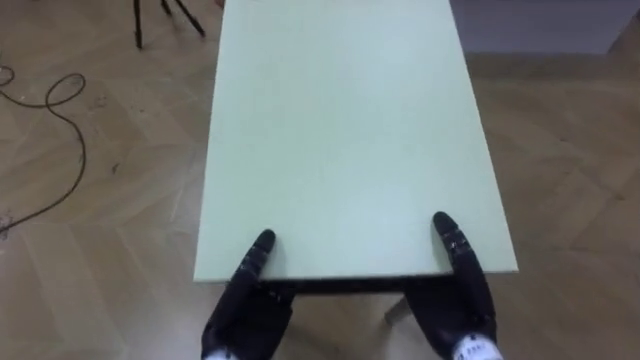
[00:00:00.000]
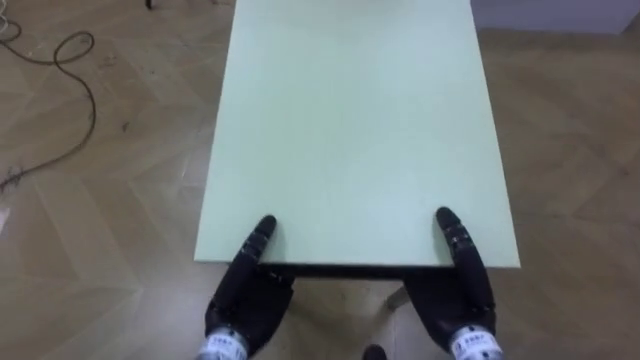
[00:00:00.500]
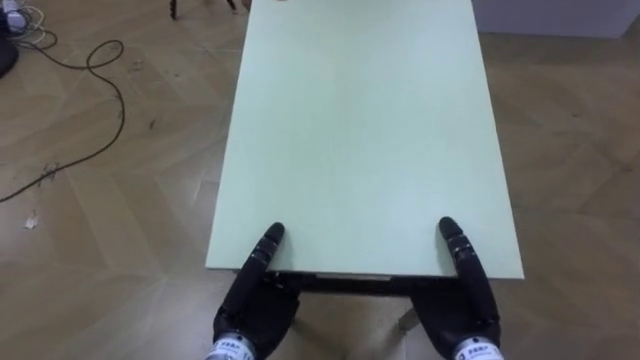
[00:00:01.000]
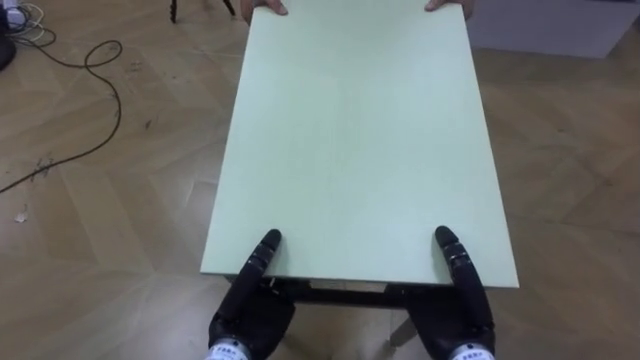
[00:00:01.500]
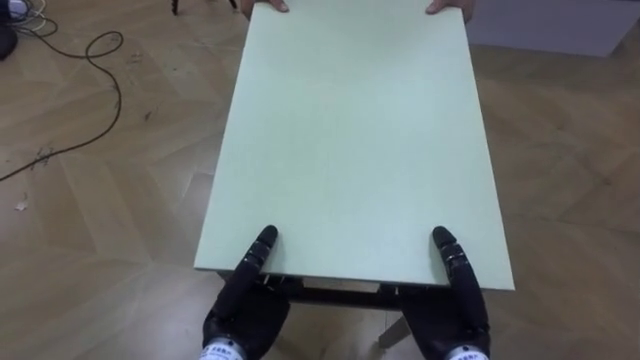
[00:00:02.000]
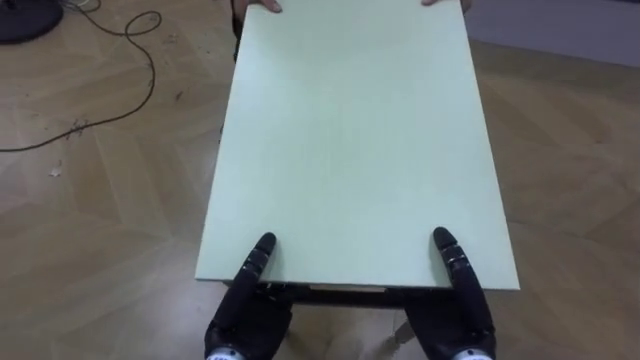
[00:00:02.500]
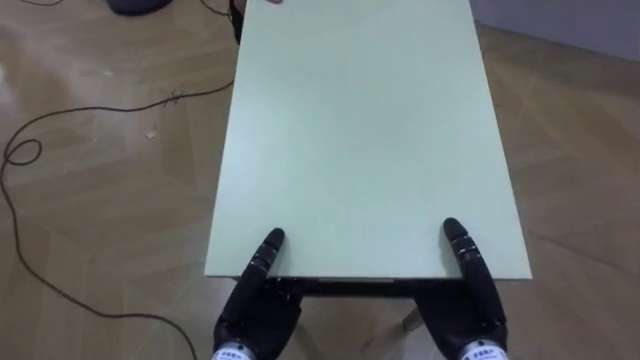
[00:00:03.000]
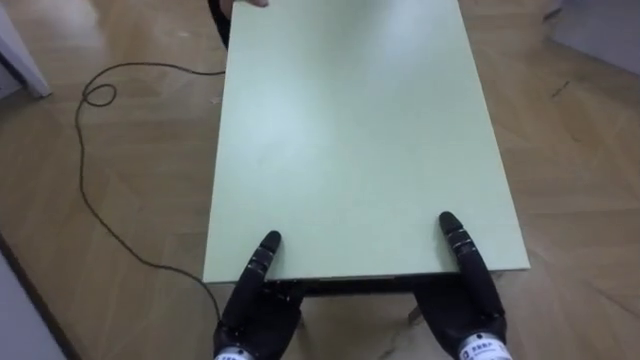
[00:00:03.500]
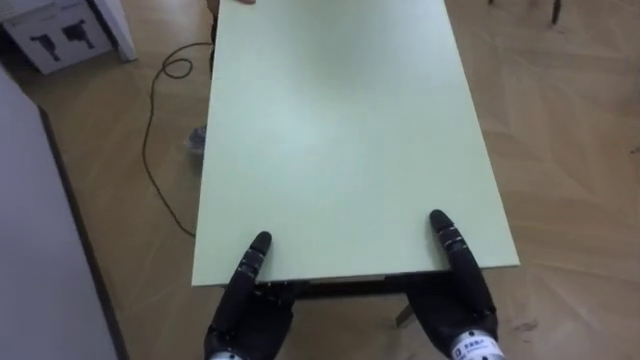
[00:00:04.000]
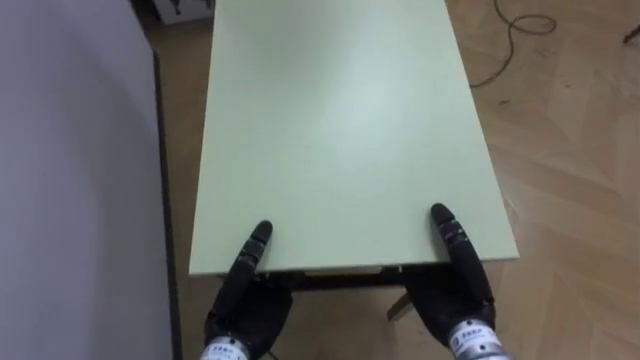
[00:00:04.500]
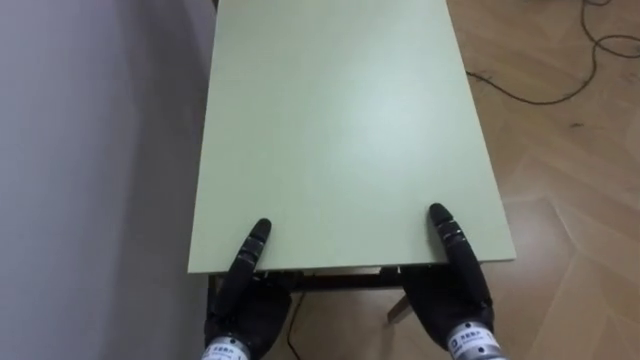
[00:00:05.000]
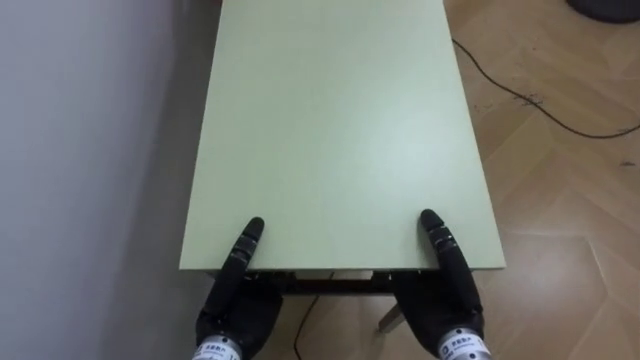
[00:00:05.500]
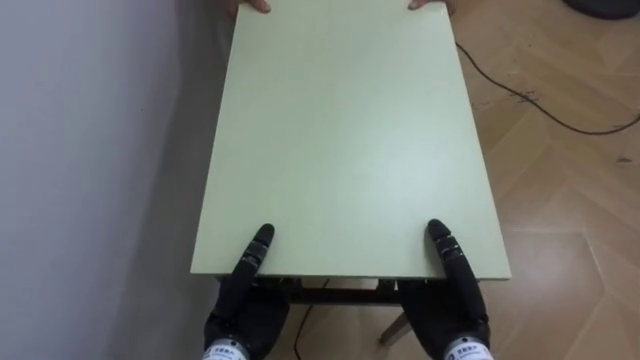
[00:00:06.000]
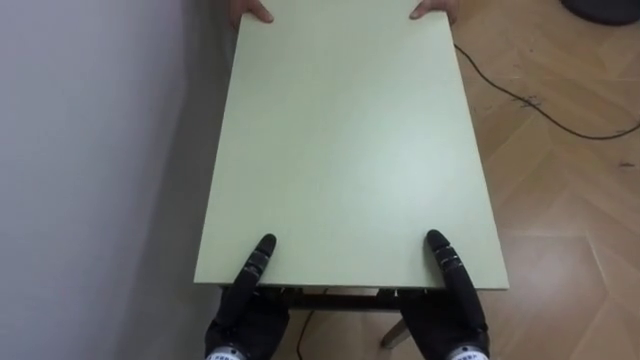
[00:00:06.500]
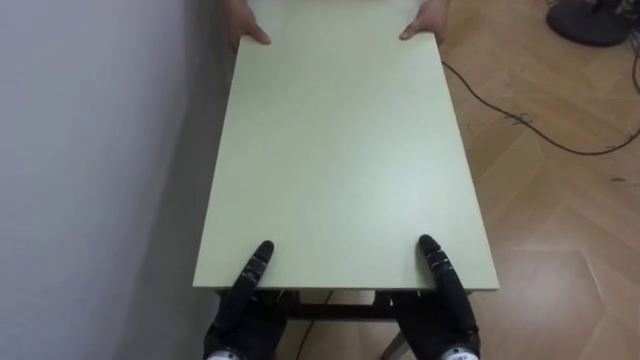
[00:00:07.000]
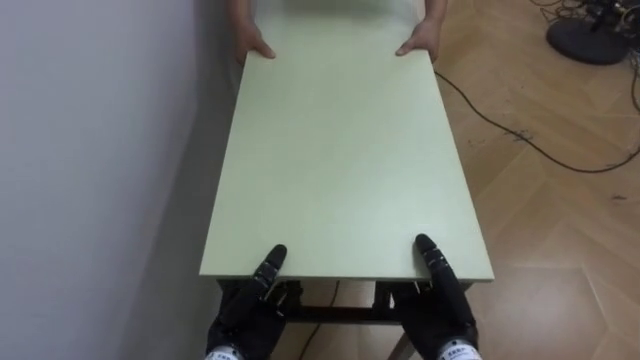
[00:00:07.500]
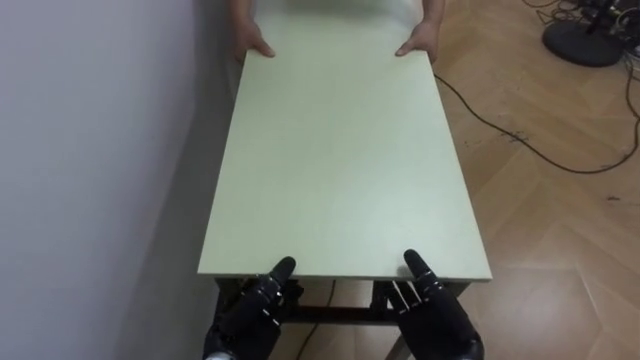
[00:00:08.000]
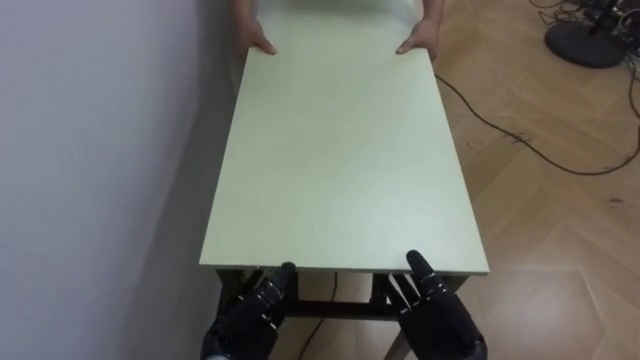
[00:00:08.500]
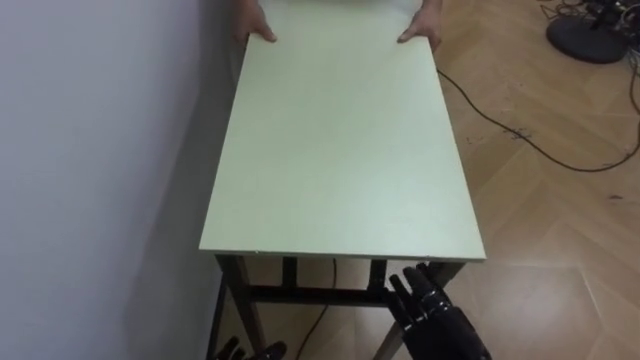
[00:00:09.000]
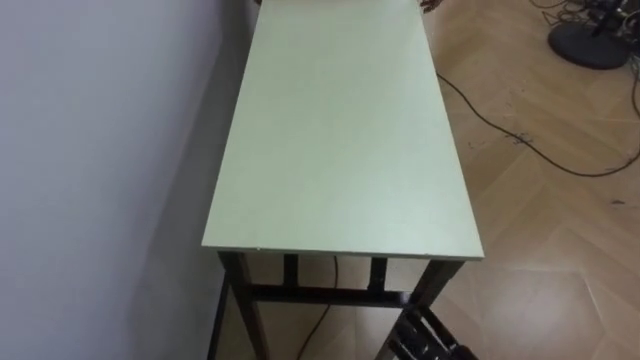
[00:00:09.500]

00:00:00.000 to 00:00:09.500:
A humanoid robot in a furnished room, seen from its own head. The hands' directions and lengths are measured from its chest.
Task of the whole recording: Move the table to the back left with someone.
00:00:02.000 to 00:00:04.000: The robot faces some 45 degrees further to its left.
00:00:04.000 to 00:00:05.500: The robot's body swings some 40 degrees to its left.
00:00:05.500 to 00:00:07.500: The two hands go some 5 cm downward.

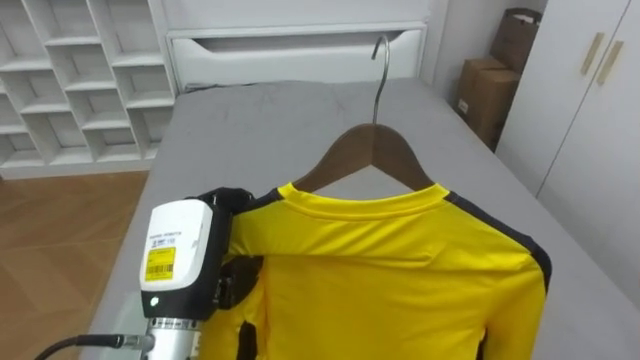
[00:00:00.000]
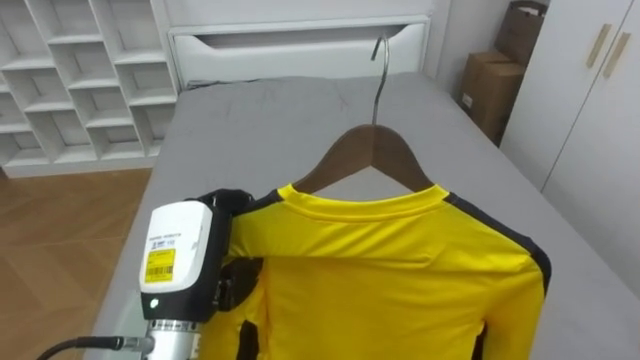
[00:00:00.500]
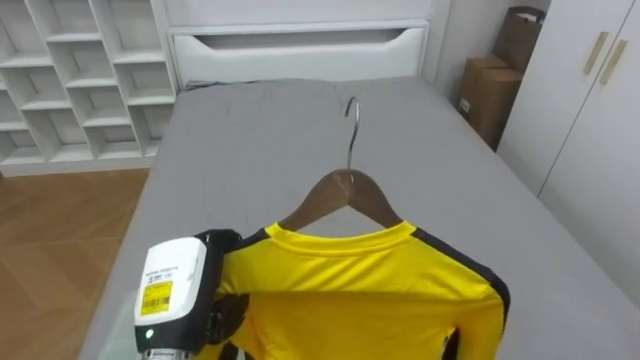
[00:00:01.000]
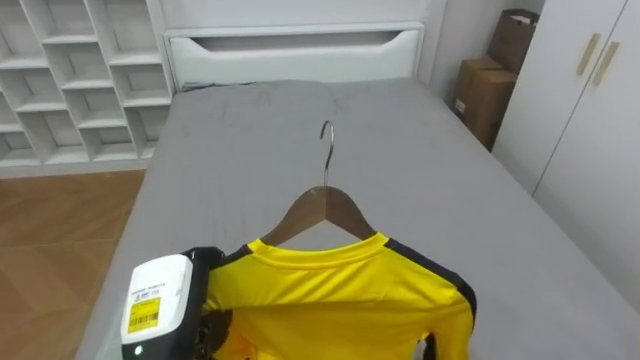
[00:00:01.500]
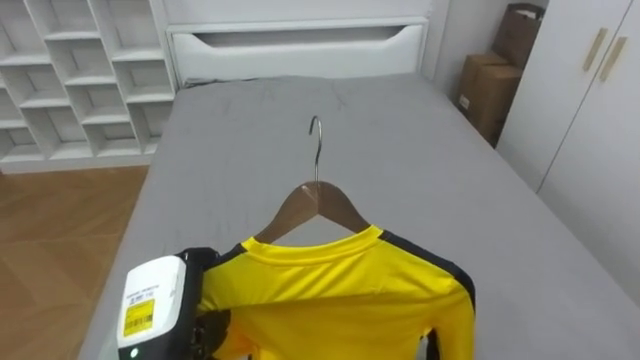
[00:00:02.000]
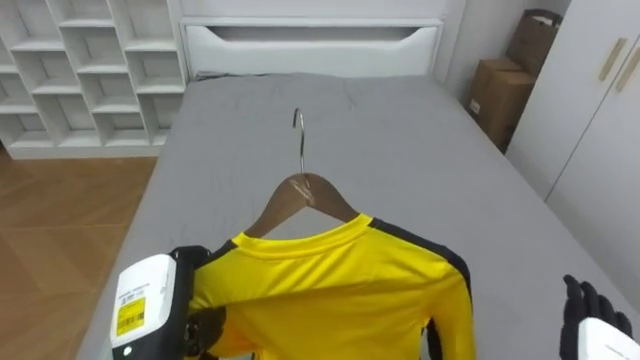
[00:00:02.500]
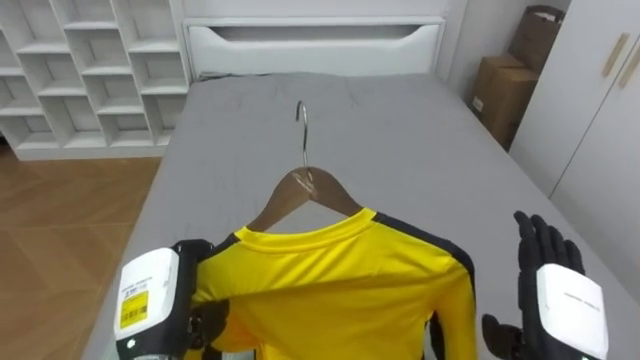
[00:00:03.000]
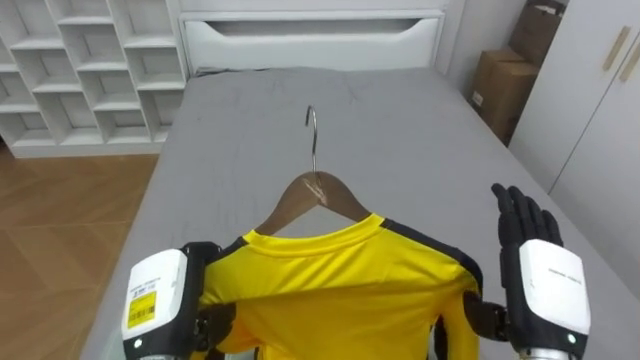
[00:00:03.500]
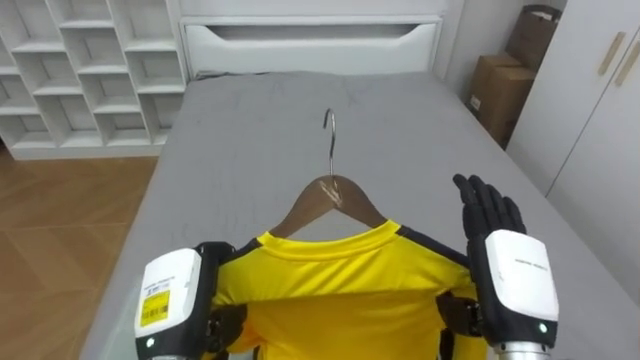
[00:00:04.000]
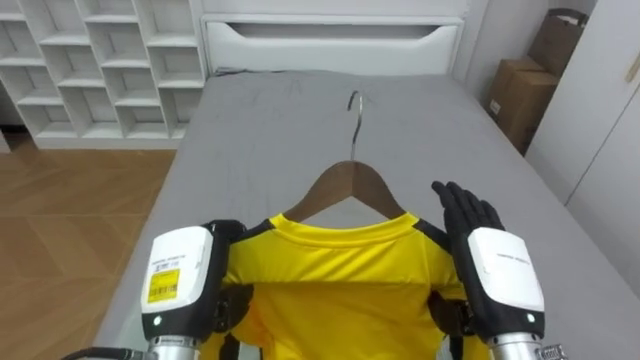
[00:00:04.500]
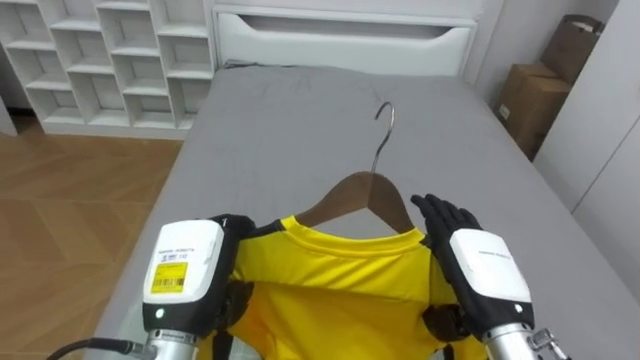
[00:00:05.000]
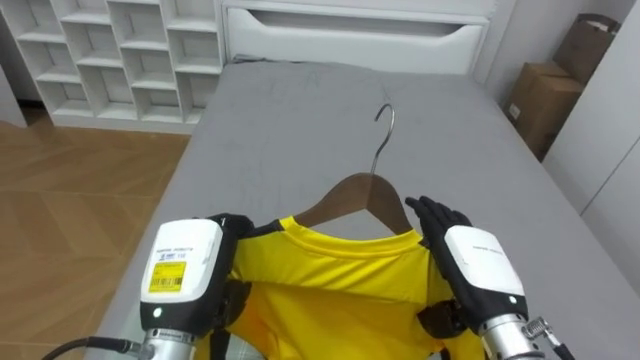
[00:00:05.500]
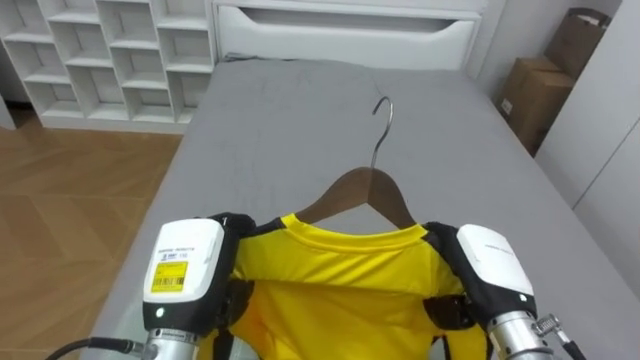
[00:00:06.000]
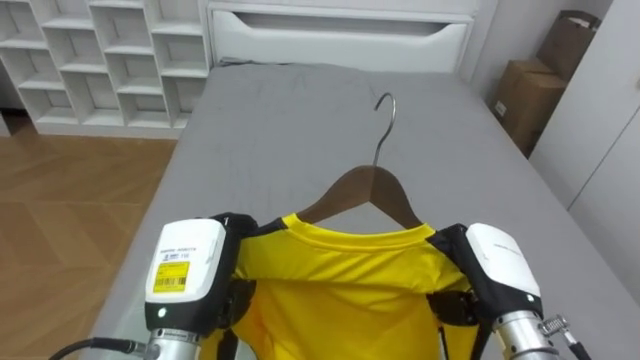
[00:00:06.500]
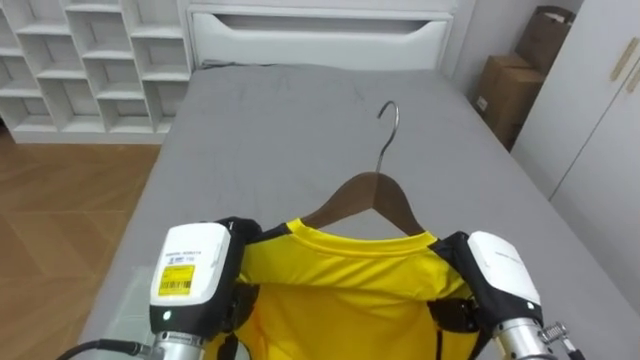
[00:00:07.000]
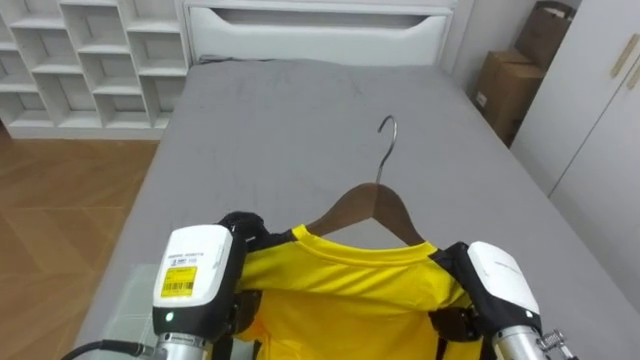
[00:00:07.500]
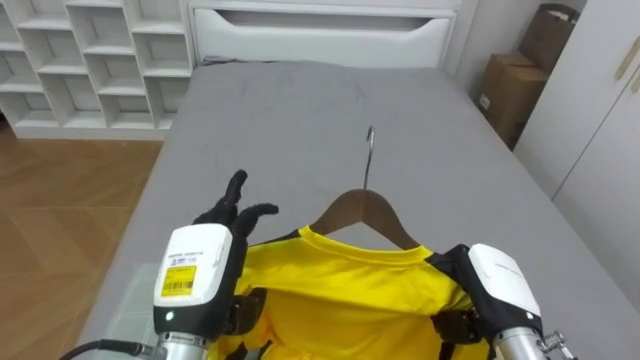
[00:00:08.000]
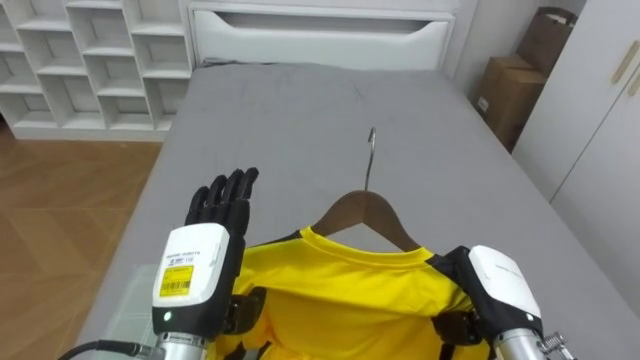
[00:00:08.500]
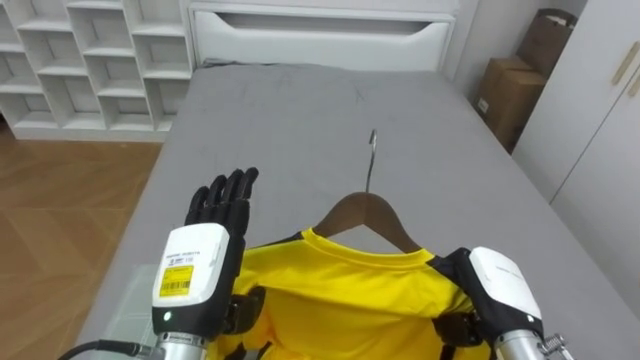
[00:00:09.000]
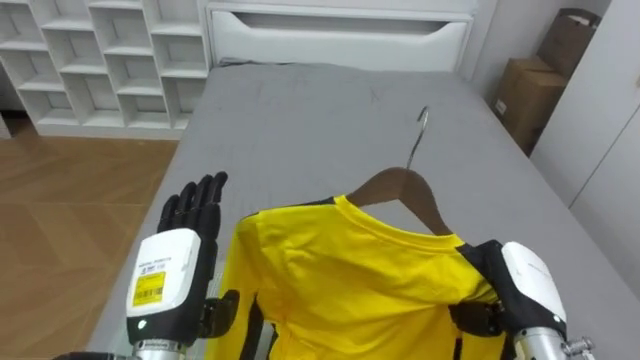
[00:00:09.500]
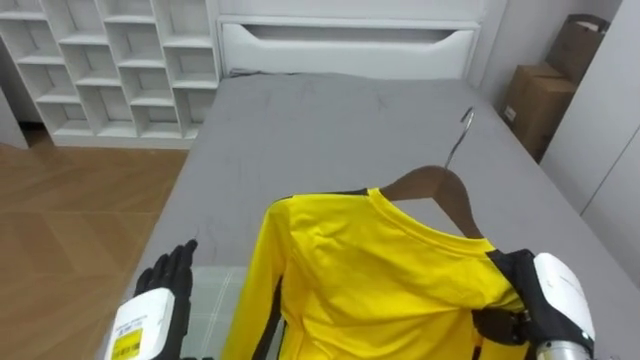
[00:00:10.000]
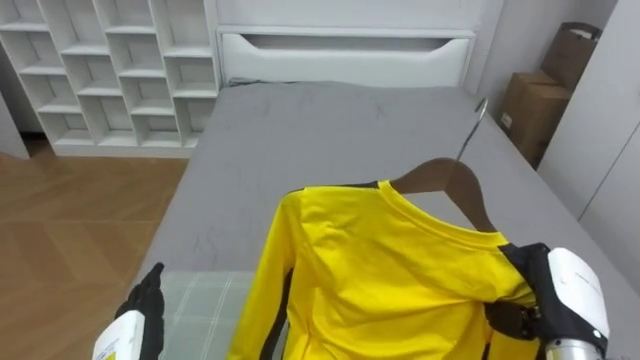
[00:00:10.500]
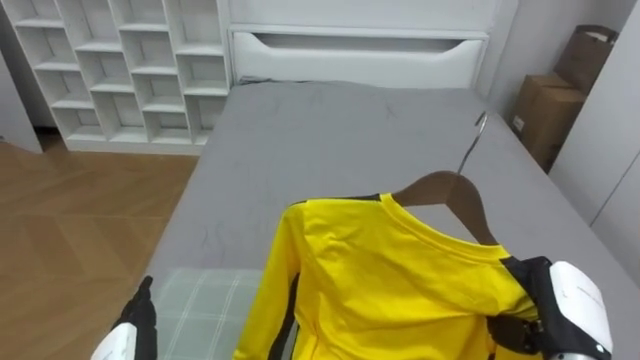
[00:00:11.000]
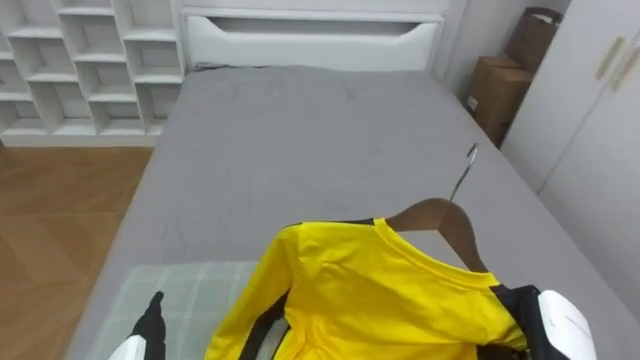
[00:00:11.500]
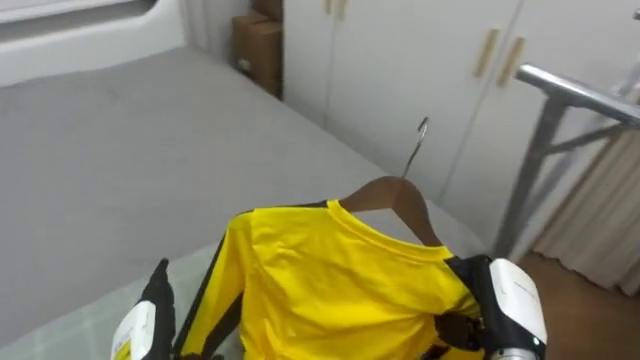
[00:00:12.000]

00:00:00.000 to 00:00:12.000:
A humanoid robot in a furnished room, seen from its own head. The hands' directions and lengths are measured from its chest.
Task of the whole recording: Pick up the yellow shirt on the bed and hang it on the clothes rack on the right.
00:00:00.000 to 00:00:02.000: The left hand is displaced downward by about 10 cm.
00:00:06.000 to 00:00:08.000: The left hand opens up. Meanwhile the right hand closes.
00:00:08.000 to 00:00:10.000: The right hand goes about 5 cm to the right, while the left hand goes approximately 10 cm downward and to the left.
00:00:10.000 to 00:00:12.000: The robot rotates roughly 45 degrees to its right.
